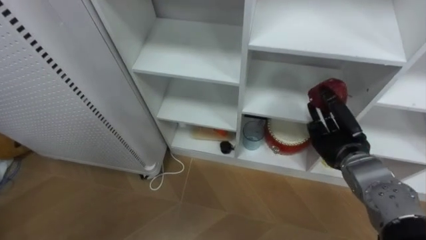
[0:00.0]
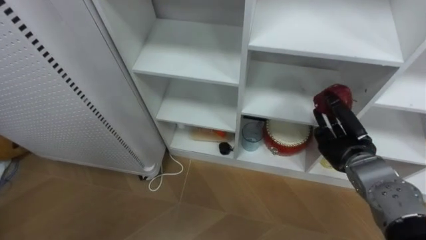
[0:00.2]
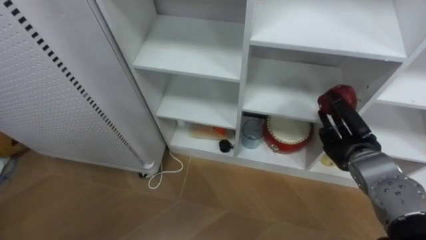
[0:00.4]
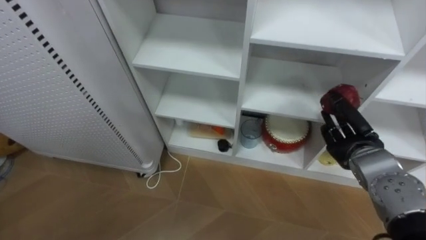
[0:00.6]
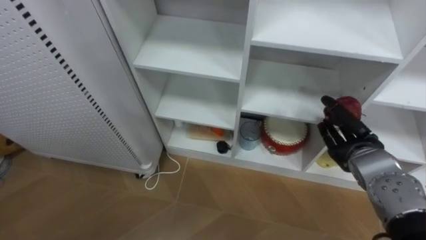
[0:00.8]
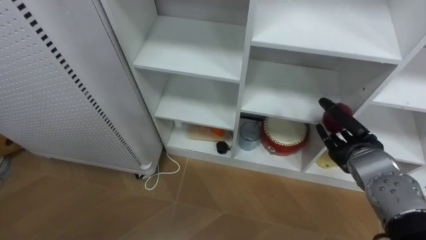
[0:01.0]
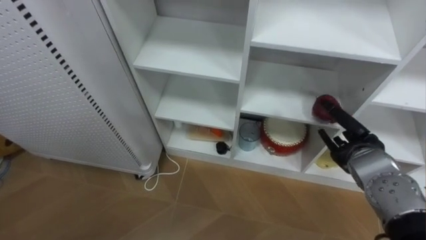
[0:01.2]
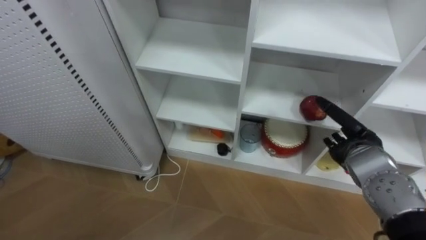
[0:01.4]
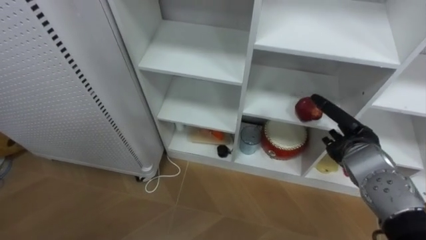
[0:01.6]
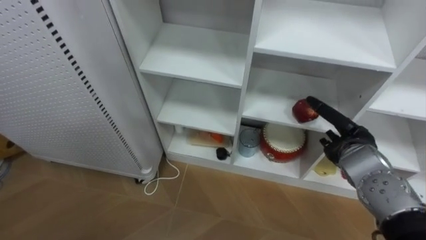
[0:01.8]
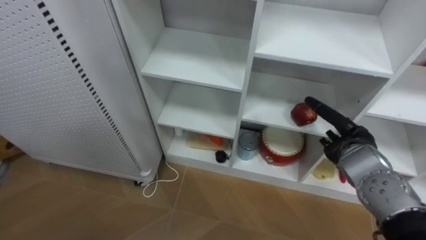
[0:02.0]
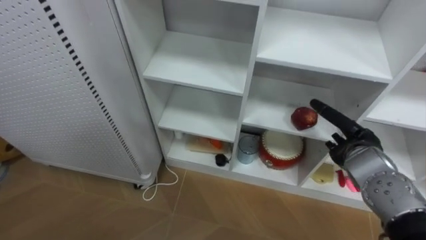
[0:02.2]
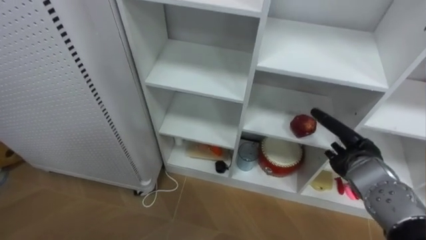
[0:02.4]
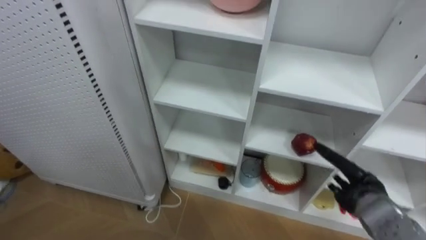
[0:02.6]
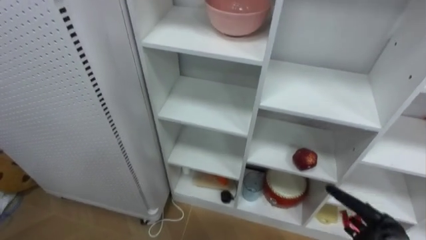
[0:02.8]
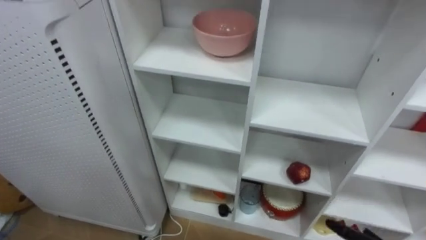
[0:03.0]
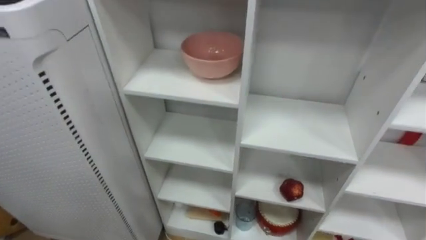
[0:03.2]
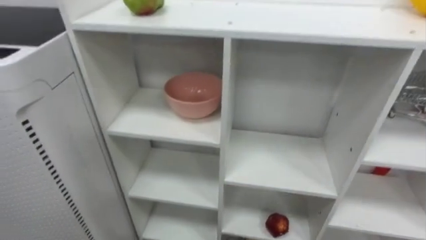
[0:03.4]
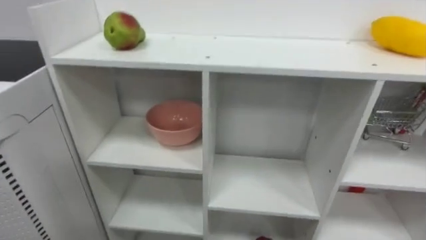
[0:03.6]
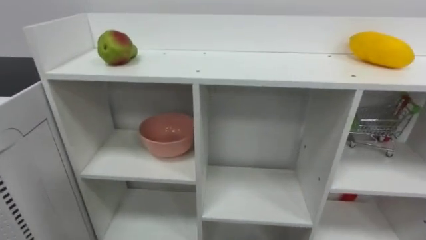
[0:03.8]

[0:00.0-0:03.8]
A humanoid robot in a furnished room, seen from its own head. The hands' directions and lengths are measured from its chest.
Task of the whole recording: Put the apple in the cell in the second column from the left and the second row from the top.
0:00.0 to 0:01.2: The right hand opens up.
0:01.2 to 0:02.6: The right hand shifts roughly 10 cm downward.

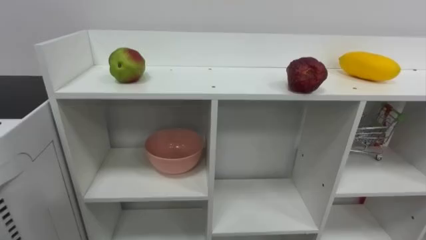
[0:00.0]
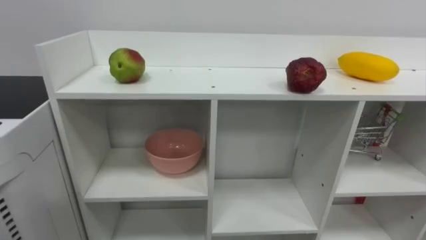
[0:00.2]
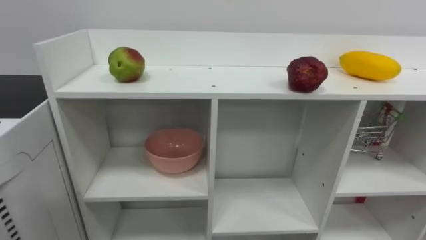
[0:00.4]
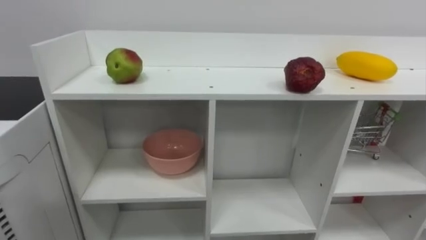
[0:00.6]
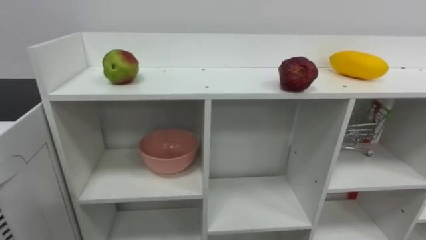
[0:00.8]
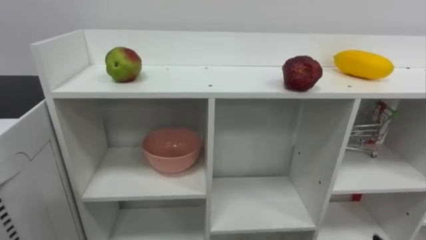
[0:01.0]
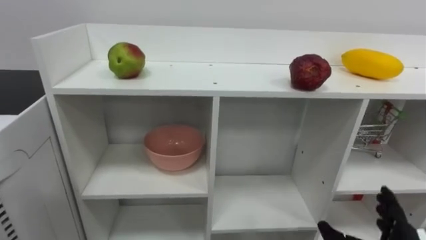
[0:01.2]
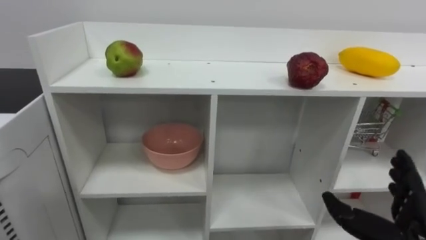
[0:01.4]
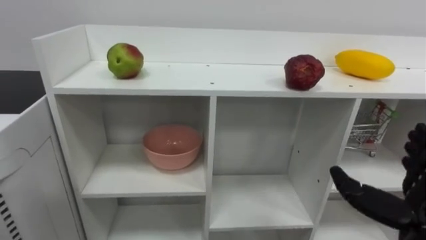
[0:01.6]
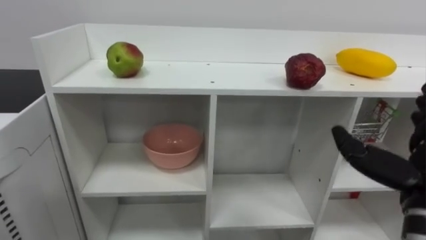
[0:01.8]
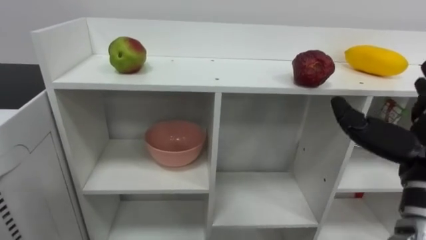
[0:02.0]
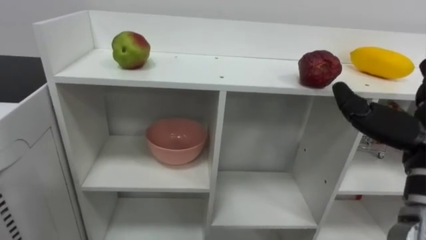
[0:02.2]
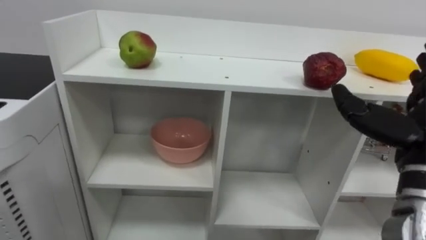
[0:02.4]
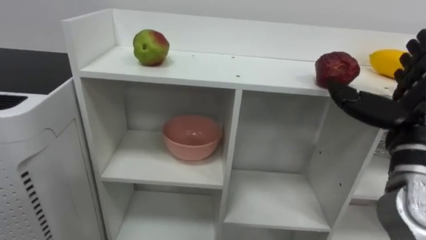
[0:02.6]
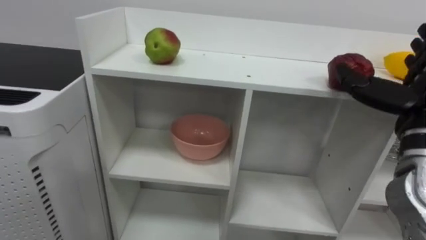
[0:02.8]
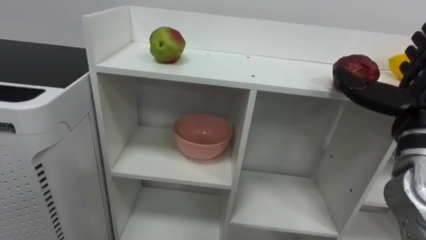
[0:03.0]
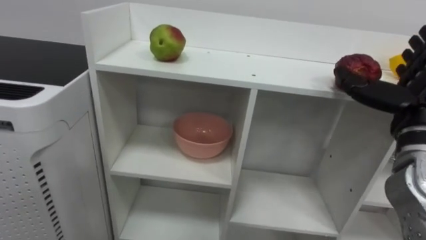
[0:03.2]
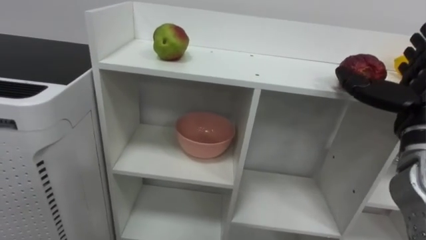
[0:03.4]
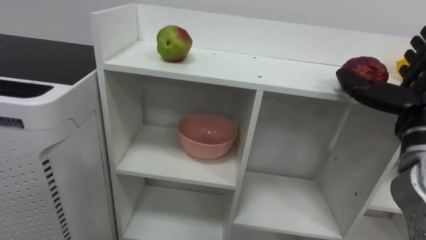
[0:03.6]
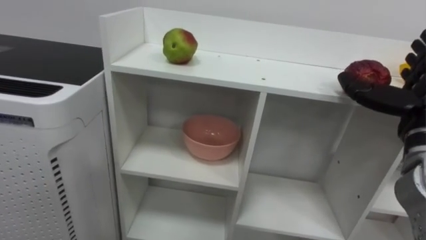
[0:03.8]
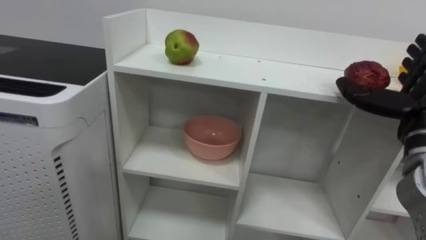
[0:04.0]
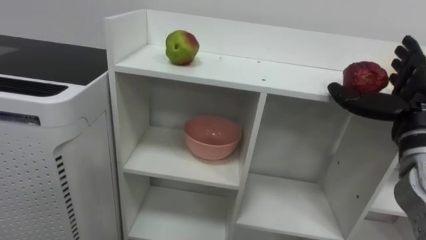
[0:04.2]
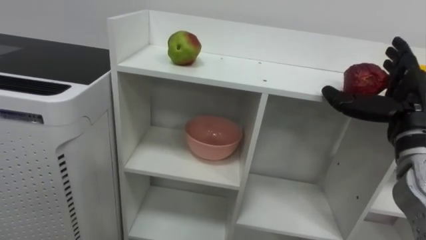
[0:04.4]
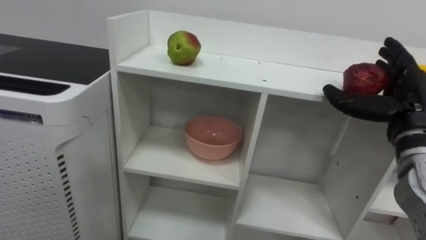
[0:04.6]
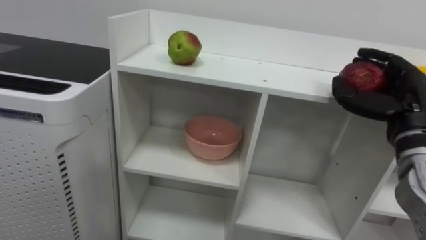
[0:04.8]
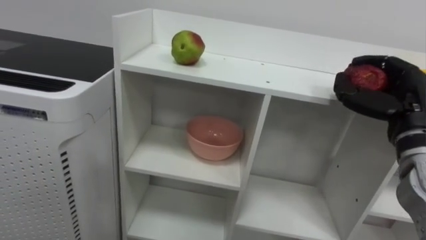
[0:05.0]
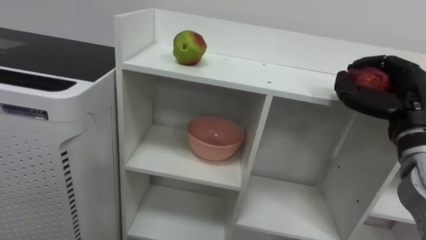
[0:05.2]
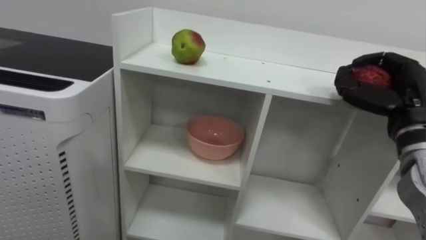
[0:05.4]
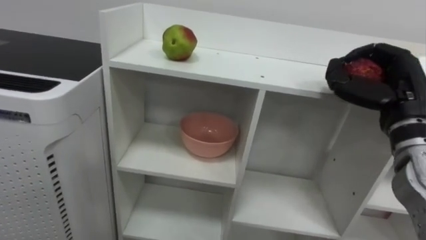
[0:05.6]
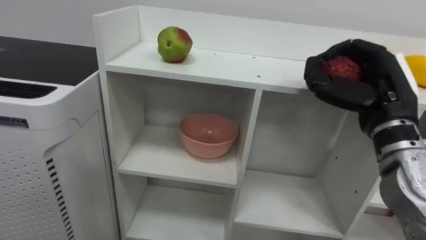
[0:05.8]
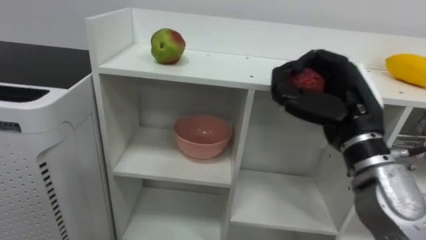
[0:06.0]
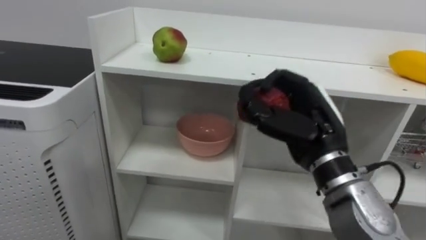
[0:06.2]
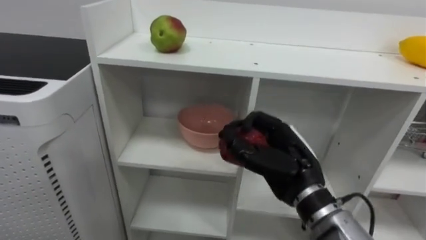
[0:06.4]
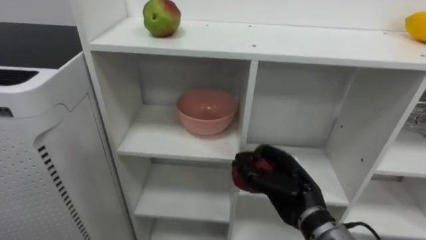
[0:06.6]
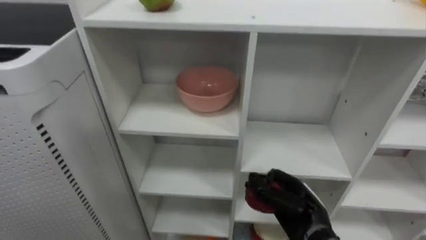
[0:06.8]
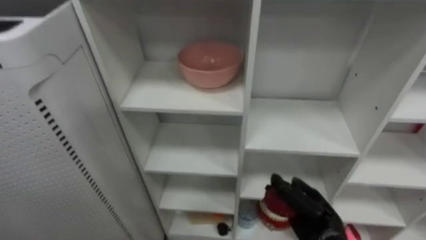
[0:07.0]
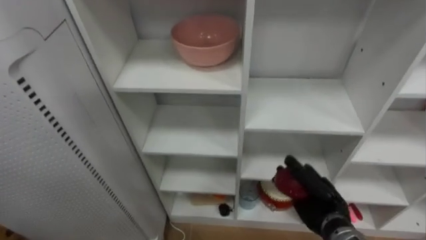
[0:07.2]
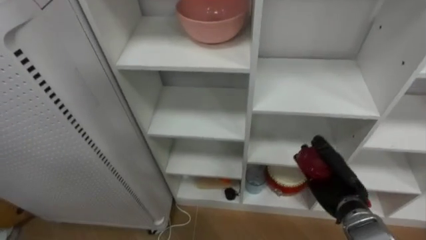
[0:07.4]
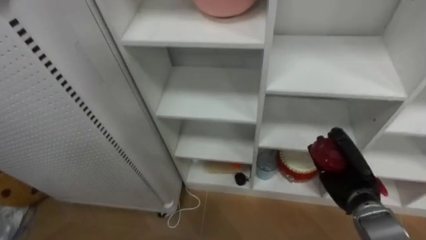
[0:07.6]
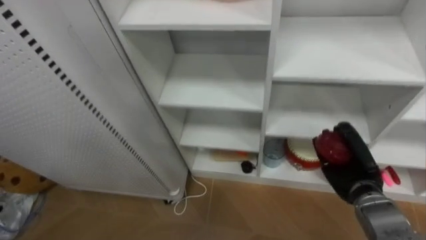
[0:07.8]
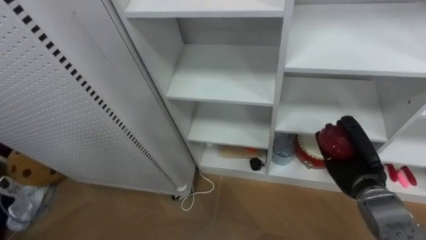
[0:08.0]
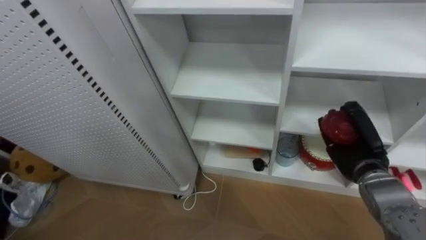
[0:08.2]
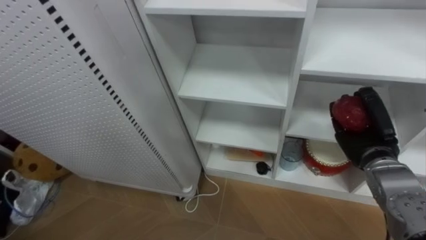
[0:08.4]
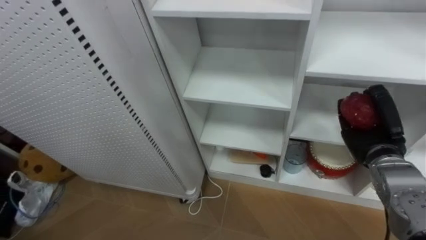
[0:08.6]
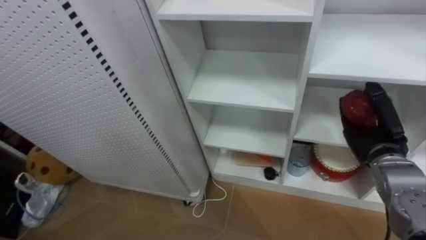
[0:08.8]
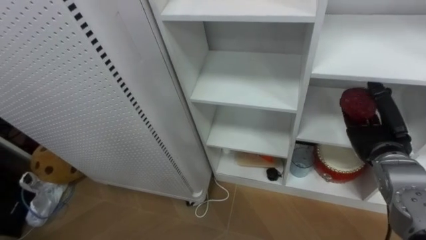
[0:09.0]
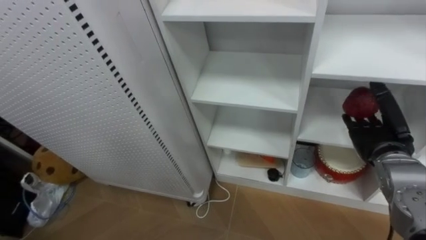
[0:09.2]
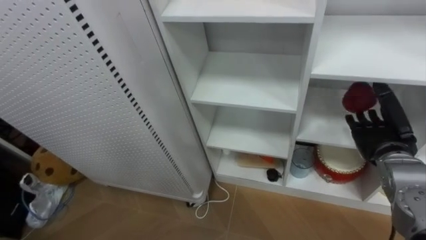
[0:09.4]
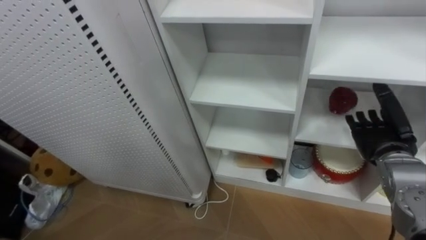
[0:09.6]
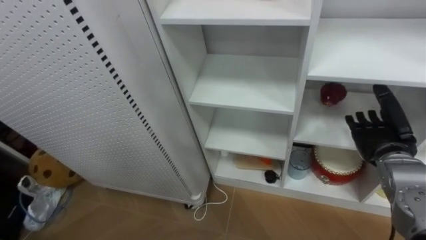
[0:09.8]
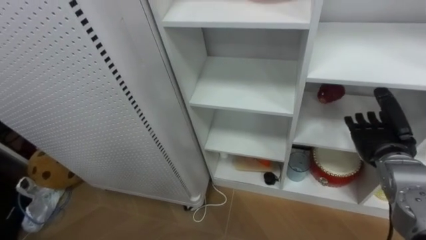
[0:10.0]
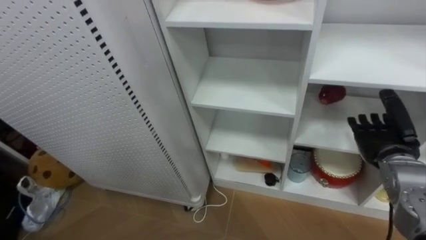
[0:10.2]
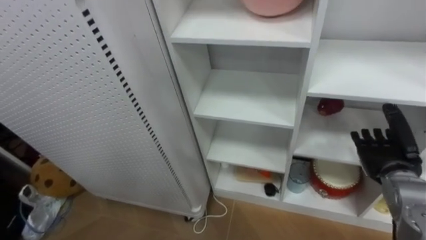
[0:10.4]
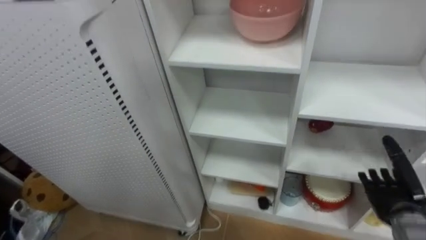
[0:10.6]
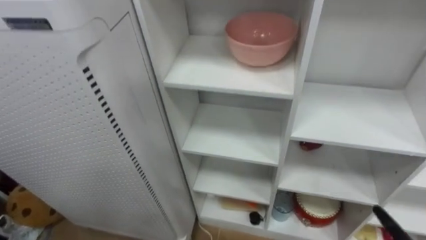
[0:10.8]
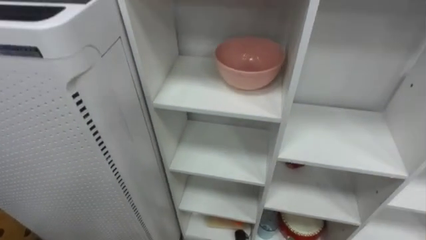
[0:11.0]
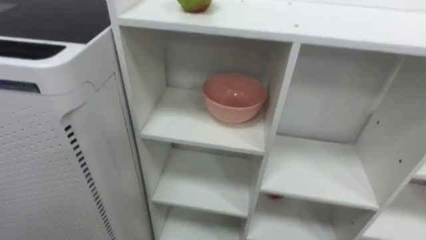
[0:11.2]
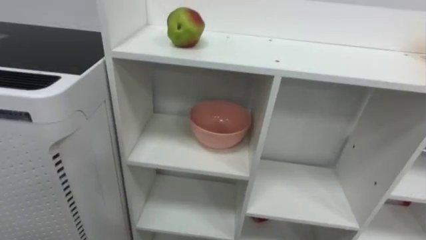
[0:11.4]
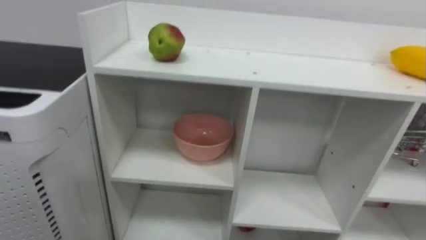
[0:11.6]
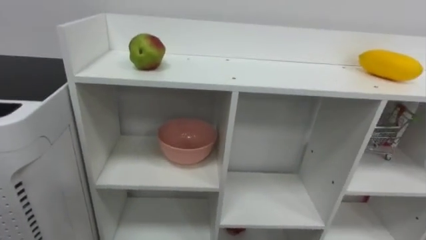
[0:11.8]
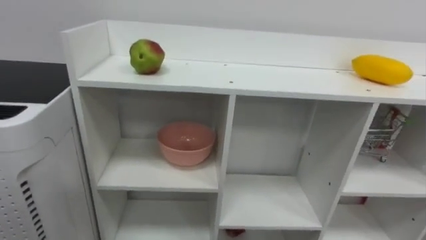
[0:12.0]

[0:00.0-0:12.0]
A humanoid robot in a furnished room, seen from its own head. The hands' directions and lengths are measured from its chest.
Task of the whole recording: Put the apple in the cell in the second column from the left and the second row from the top.
0:04.4 to 0:06.0: The right hand moves to the left, roughly 10 cm, and closes.
0:06.0 to 0:07.6: The right hand is displaced downward by some 20 cm.
0:07.6 to 0:09.0: The right hand goes approximately 10 cm upward, and opens up.

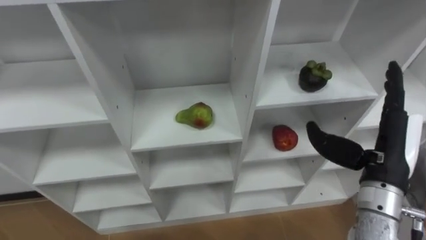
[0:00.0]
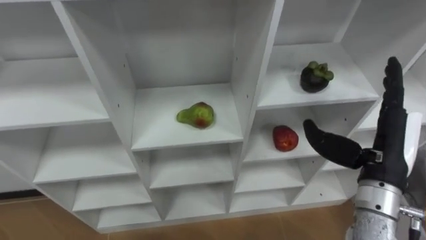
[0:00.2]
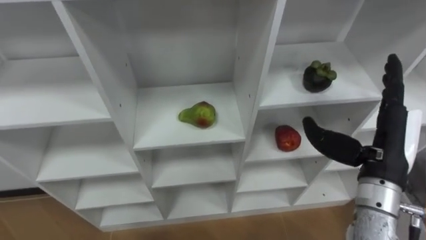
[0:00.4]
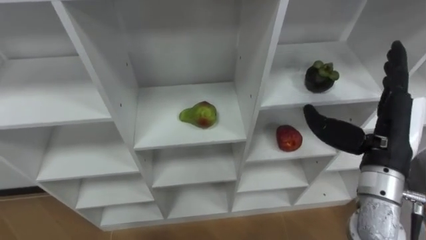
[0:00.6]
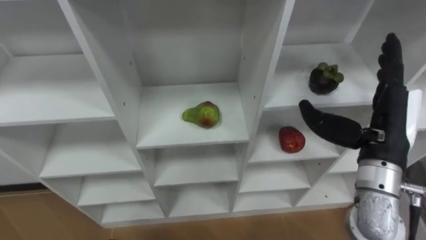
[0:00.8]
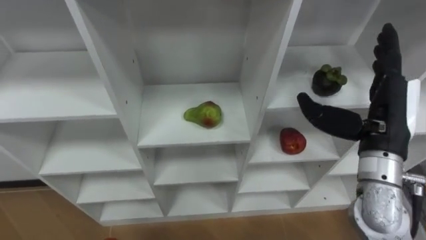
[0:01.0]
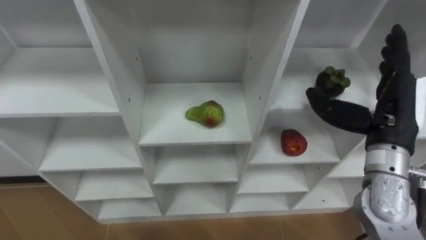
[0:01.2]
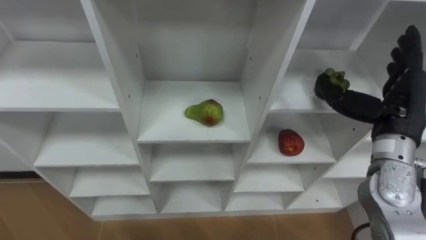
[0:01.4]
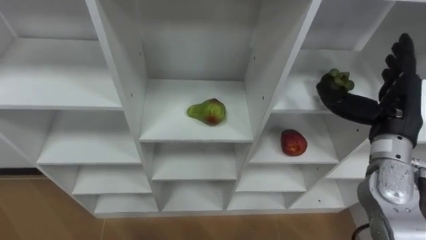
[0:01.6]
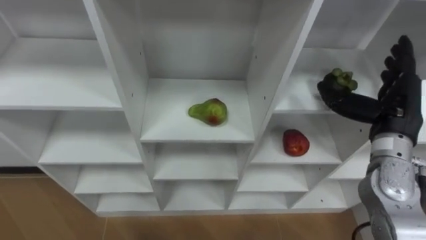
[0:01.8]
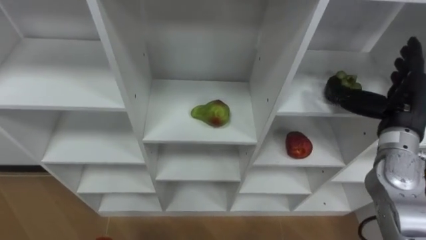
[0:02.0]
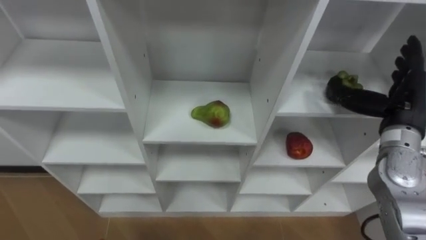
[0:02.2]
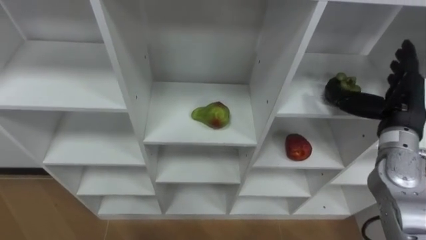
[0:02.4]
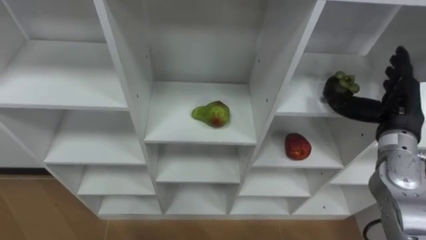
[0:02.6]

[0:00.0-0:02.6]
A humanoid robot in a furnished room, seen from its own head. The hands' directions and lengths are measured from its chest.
Task of the whole recording: Hold the basket and collect the fruits from 3 different cells of the closet into it.
0:00.0 to 0:01.2: The right hand changes place by roughly 5 cm.
0:01.2 to 0:02.6: The right hand ends up about 10 cm from where it was.
